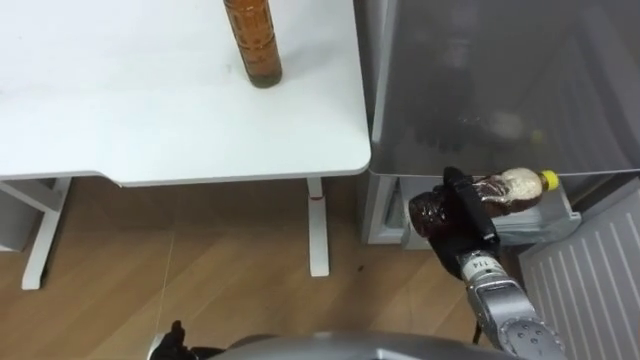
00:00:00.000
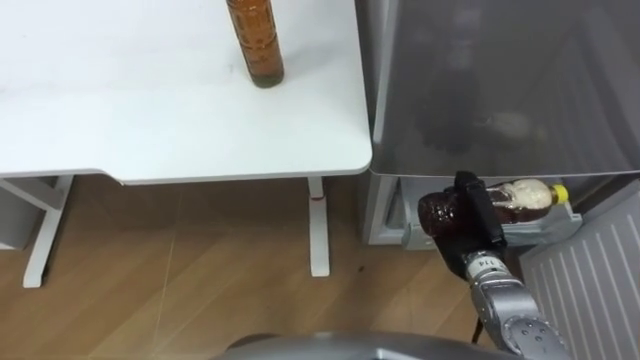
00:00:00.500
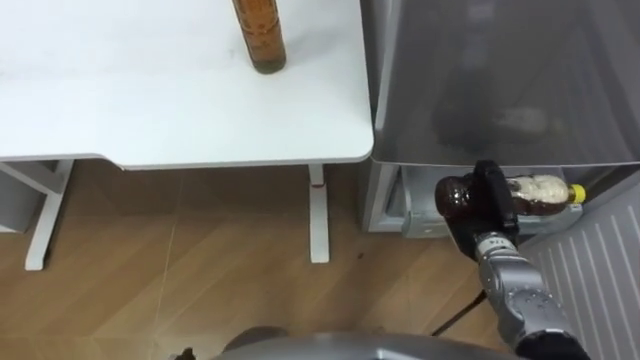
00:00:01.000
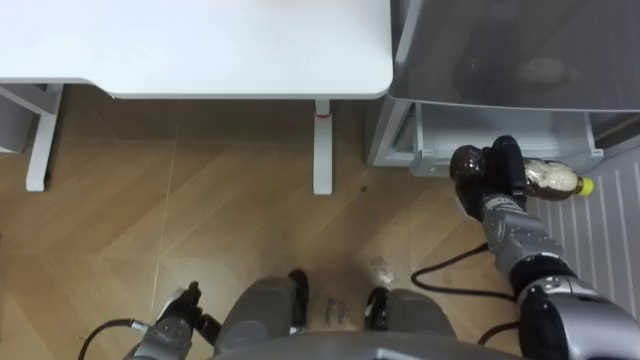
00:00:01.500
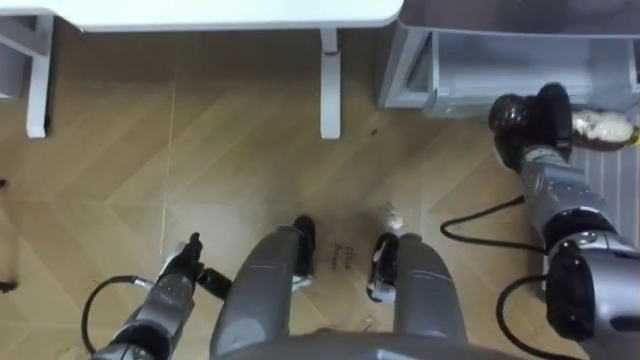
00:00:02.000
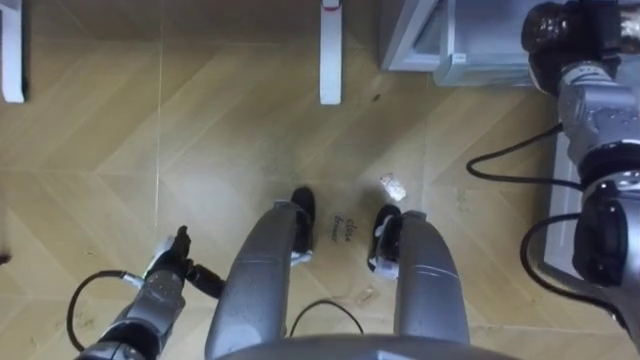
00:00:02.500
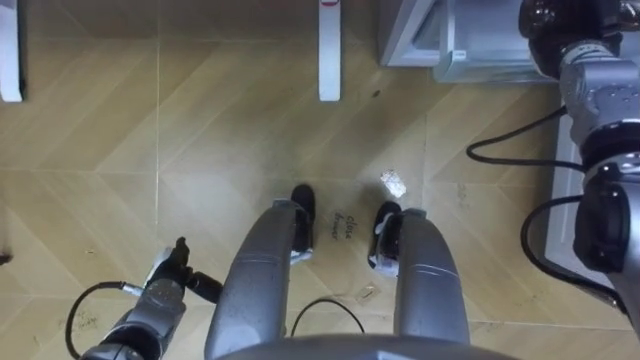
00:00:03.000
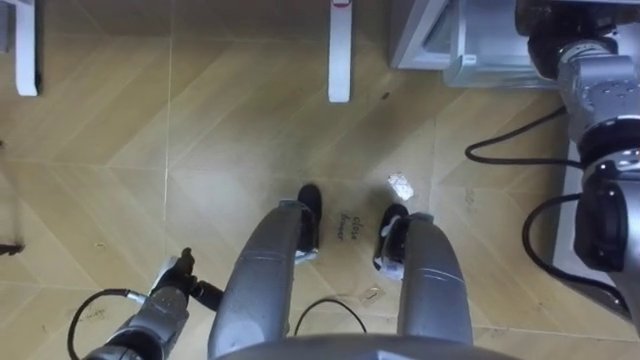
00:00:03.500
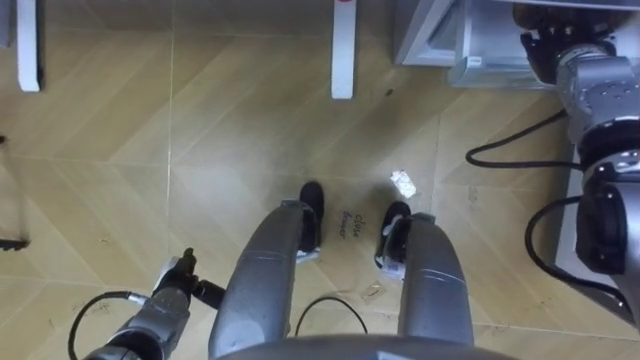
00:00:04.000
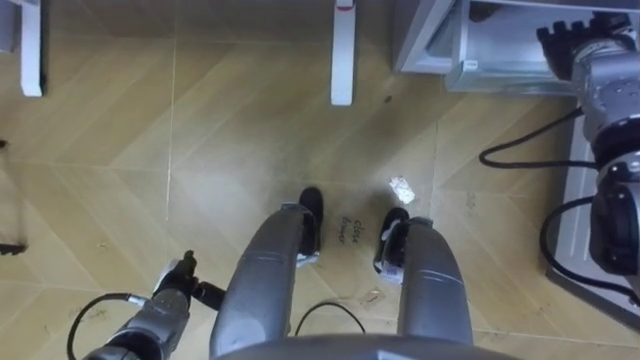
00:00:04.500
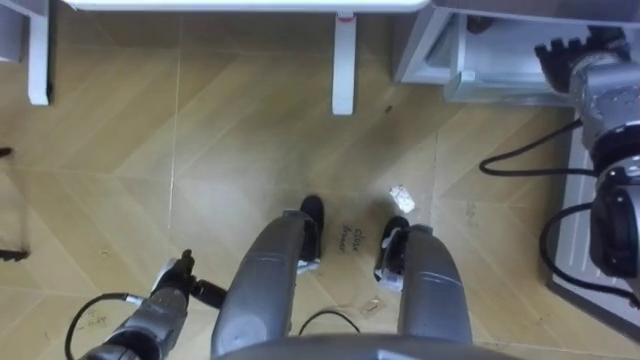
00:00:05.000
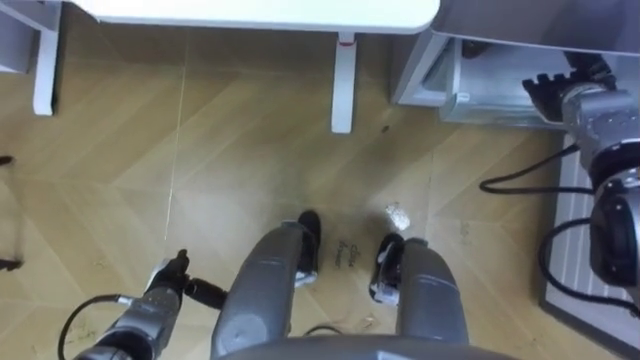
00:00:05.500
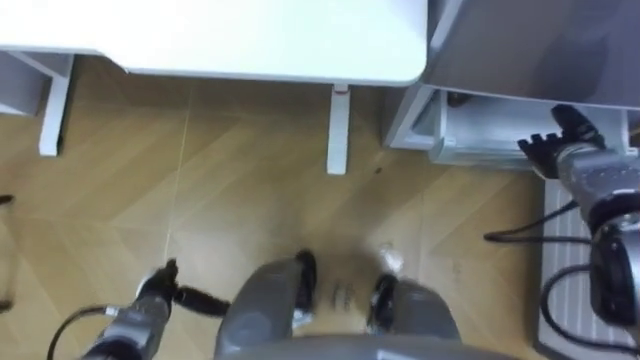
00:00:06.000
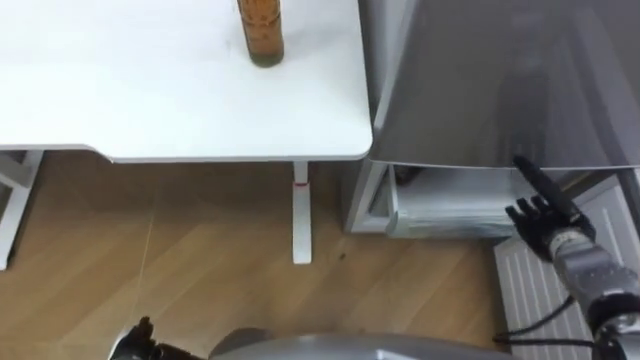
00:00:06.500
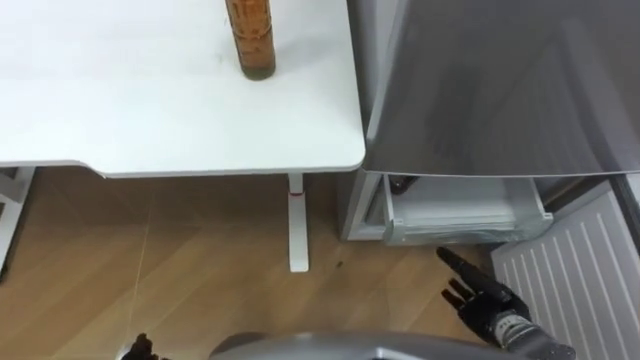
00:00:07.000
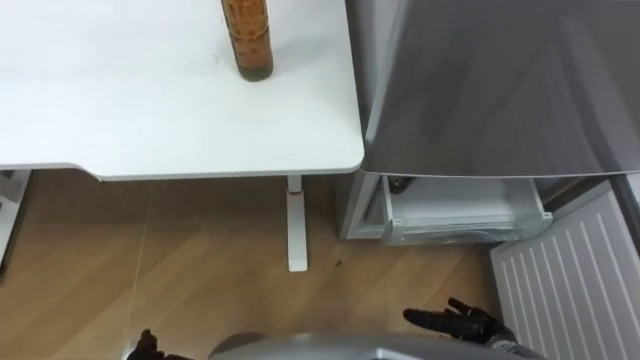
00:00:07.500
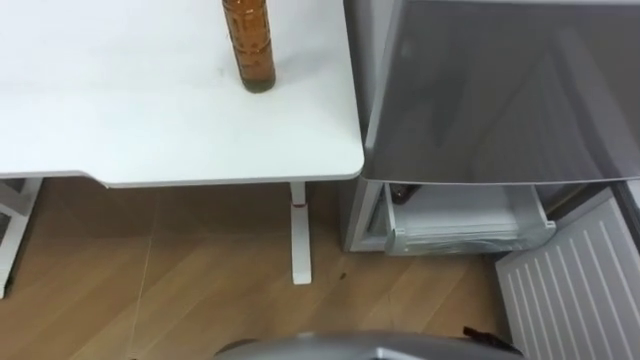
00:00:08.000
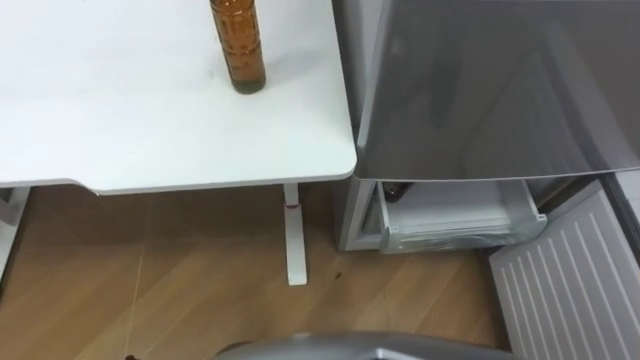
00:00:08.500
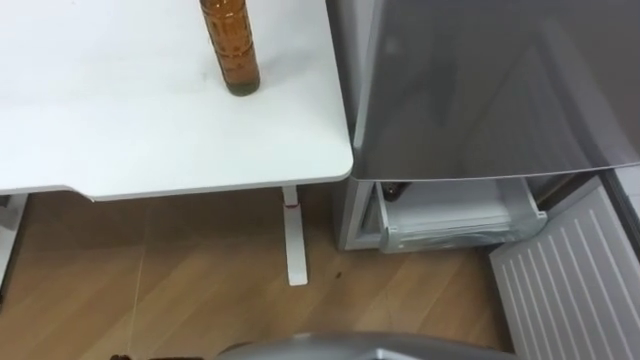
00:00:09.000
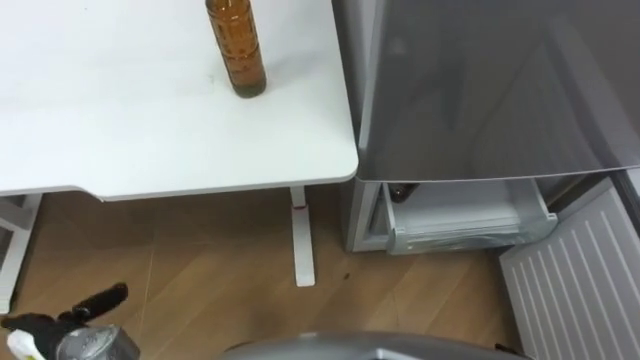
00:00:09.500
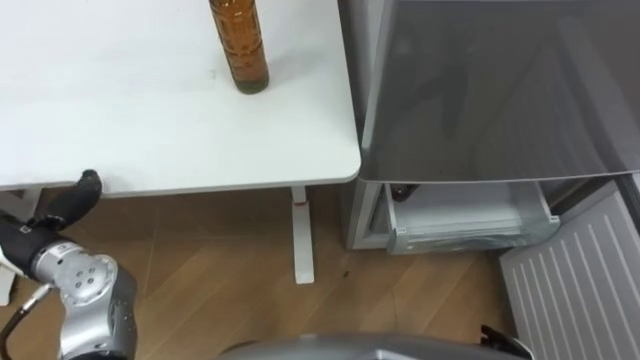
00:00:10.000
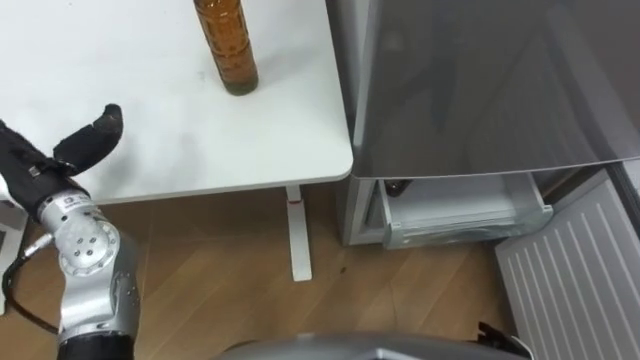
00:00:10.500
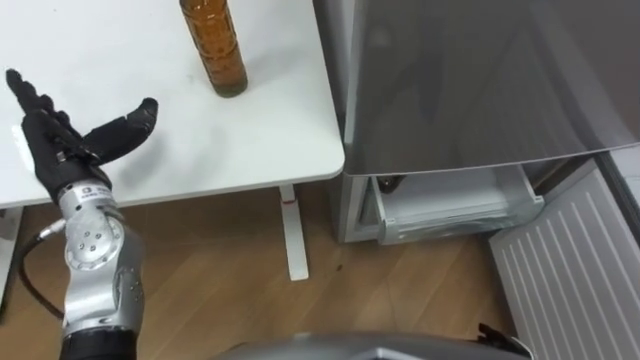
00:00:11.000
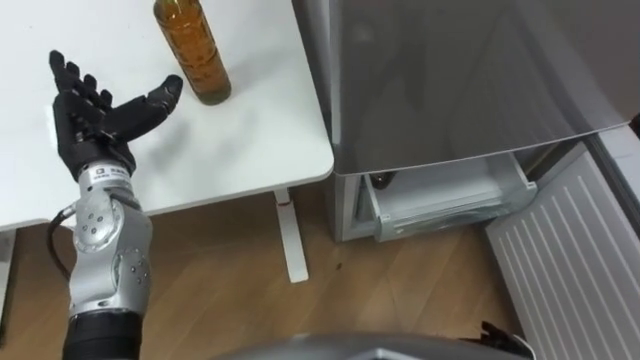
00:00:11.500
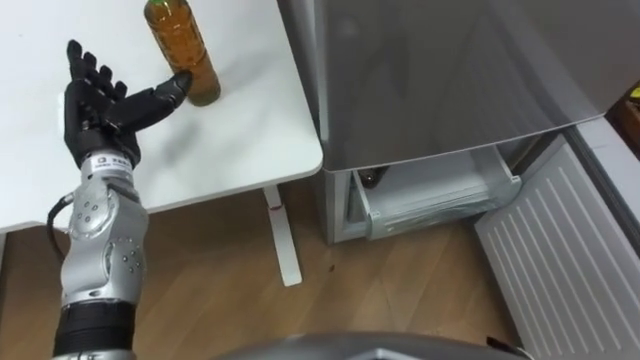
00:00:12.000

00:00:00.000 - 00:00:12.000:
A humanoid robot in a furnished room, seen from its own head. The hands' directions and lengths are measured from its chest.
Task of the whole recording: Place the drink on the table on the bottom shelf of the refrigerator, then close the drawer and the refrigerator door.
00:00:00.000 - 00:00:02.000: The right hand heads forward and to the right, covering about 15 cm.
00:00:02.000 - 00:00:04.000: The right hand shifts roughly 15 cm upward and forward, and opens up.
00:00:04.000 - 00:00:06.000: The right hand moves downward and backward, roughly 15 cm.
00:00:10.000 - 00:00:12.000: The left hand is displaced forward, to the right and upward by about 15 cm.

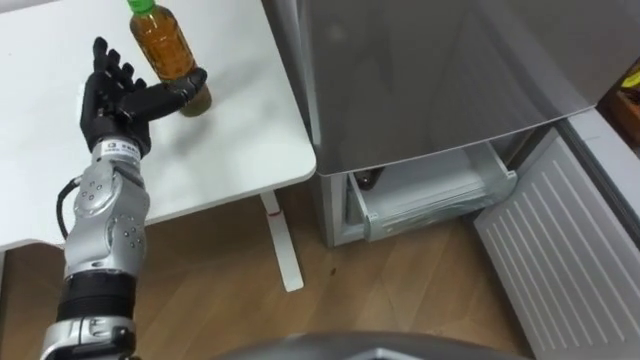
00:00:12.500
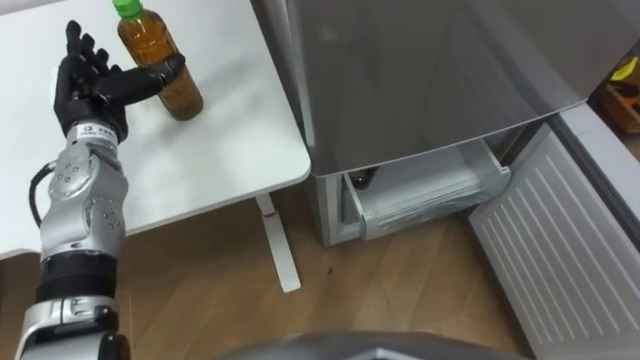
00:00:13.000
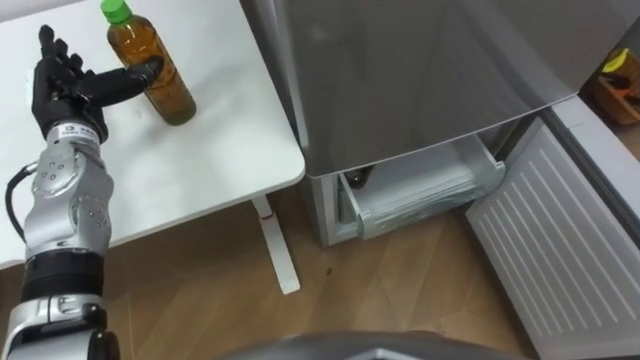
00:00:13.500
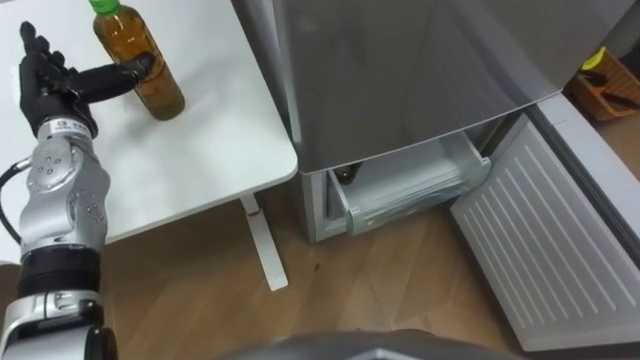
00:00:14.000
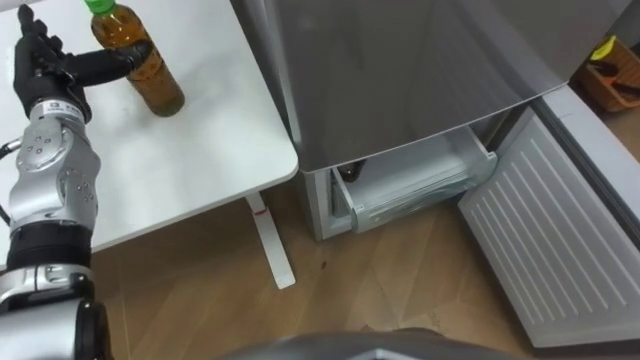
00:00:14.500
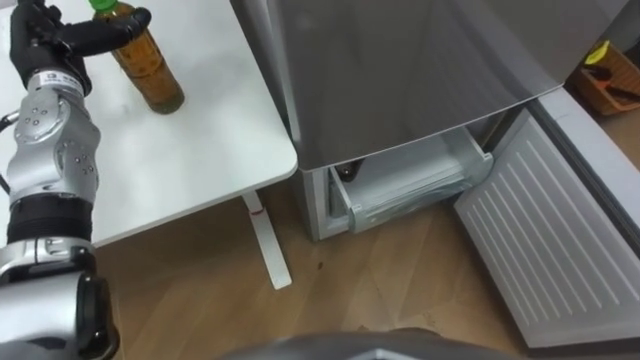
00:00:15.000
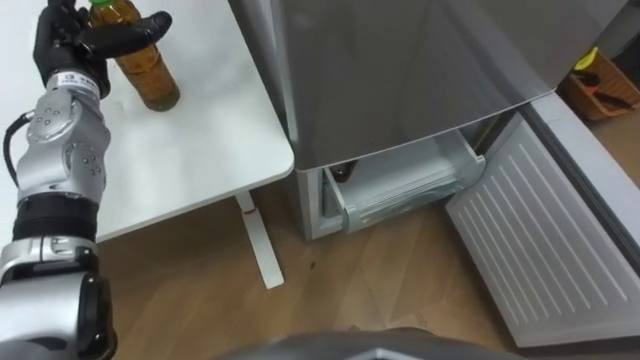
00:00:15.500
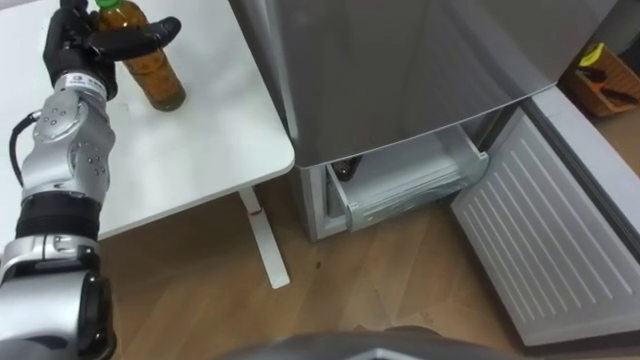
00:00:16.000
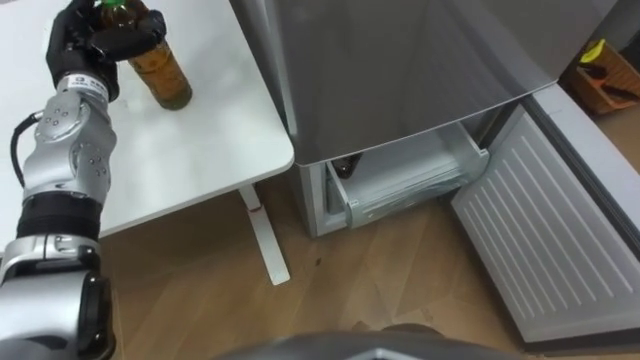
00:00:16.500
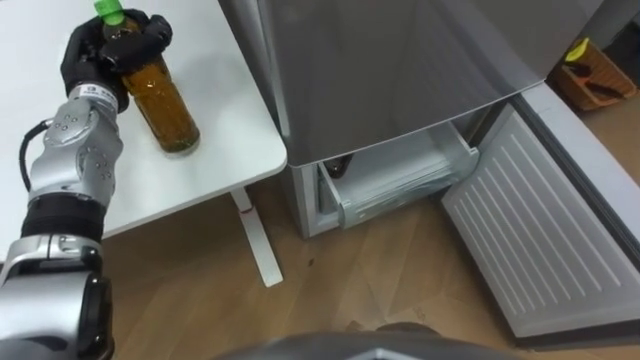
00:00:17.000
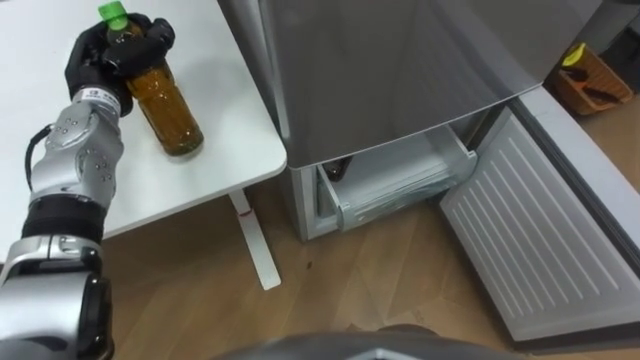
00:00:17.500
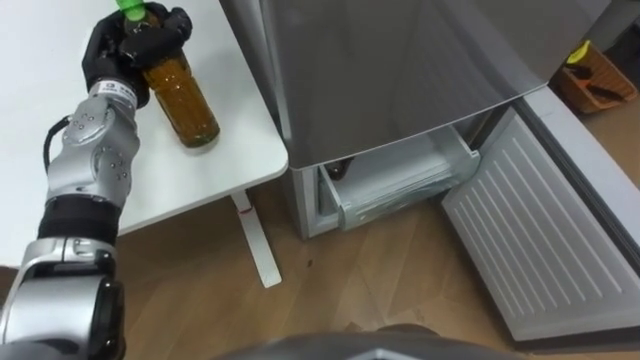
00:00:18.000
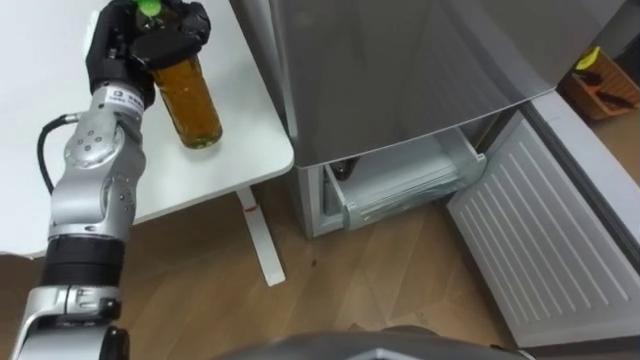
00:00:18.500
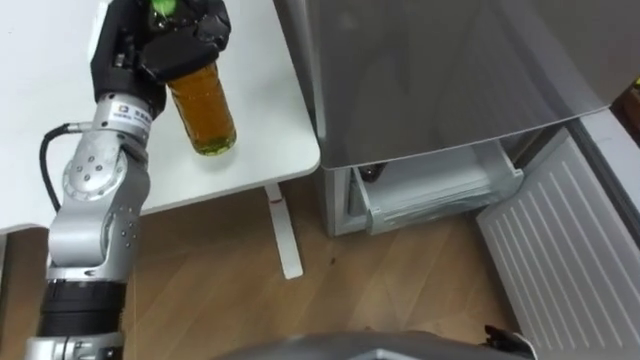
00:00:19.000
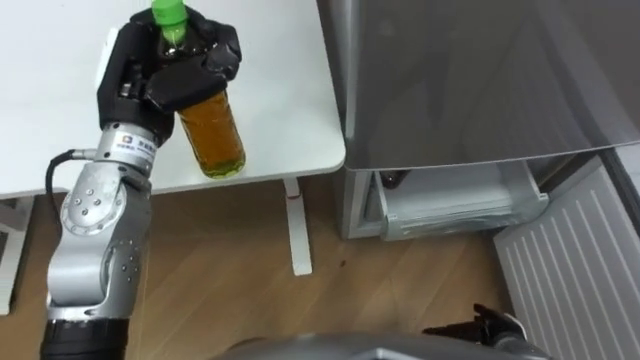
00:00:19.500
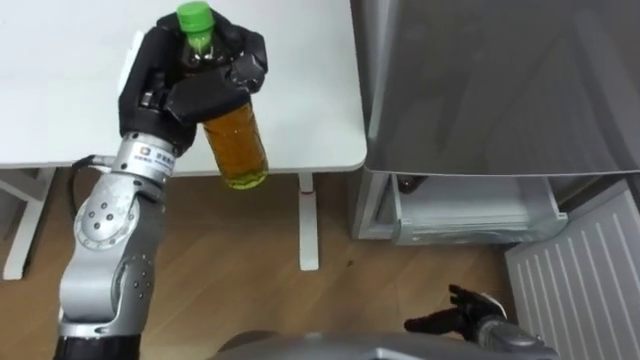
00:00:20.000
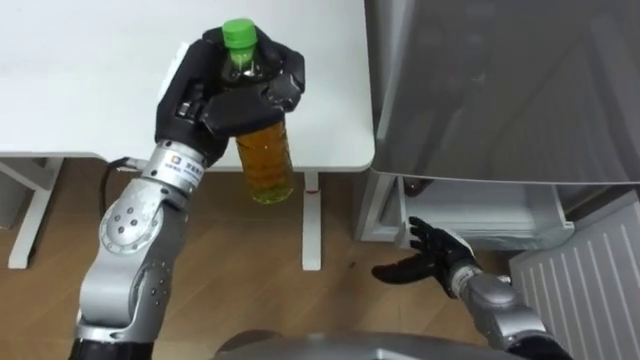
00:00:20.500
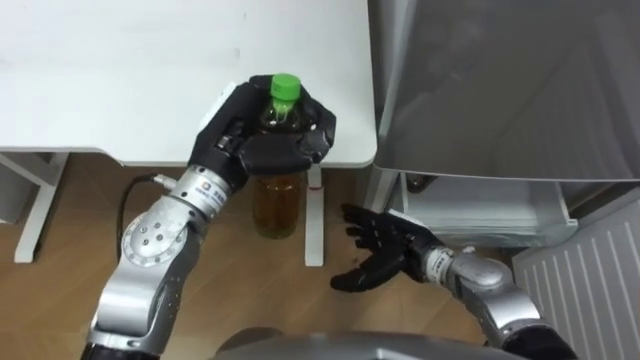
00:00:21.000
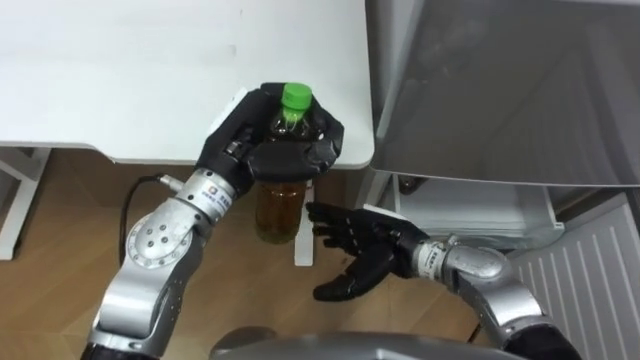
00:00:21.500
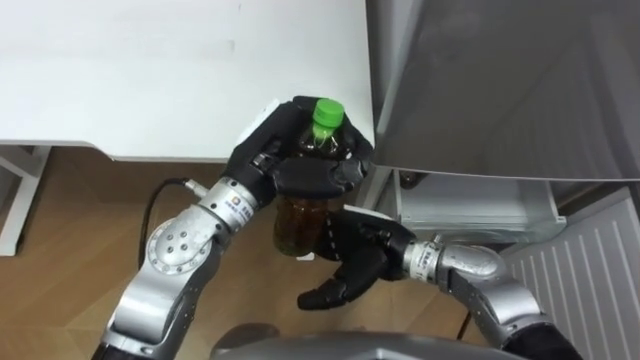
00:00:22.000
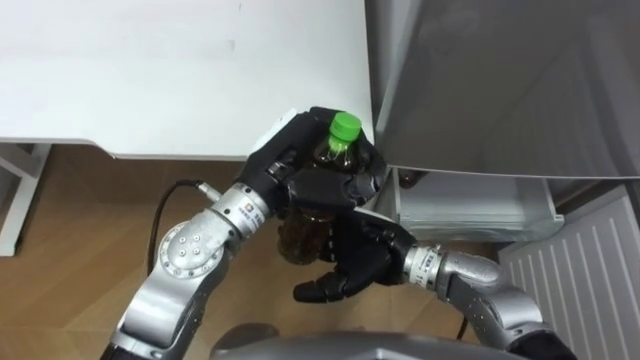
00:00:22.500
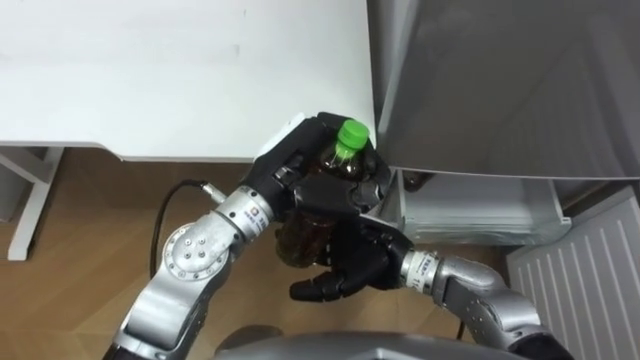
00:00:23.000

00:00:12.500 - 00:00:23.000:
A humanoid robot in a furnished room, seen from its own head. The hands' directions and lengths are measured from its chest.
Task of the whole recording: Place the drink on the table on the bottom shelf of the refrigerator, then close the drawer and the refrigerator door.
00:00:12.500 - 00:00:14.500: The left hand shifts about 5 cm to the left.
00:00:14.500 - 00:00:16.500: The left hand moves roughly 5 cm, and closes up.
00:00:16.500 - 00:00:19.000: The left hand goes roughly 10 cm to the right, upward and backward, and closes up.
00:00:19.000 - 00:00:21.000: The left hand travels to the right and backward by about 10 cm.
00:00:21.000 - 00:00:23.000: The right hand moves to the left and upward, about 10 cm, while the left hand moves to the right, roughly 5 cm.
